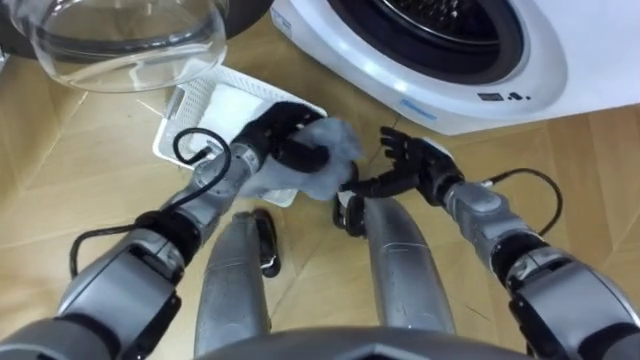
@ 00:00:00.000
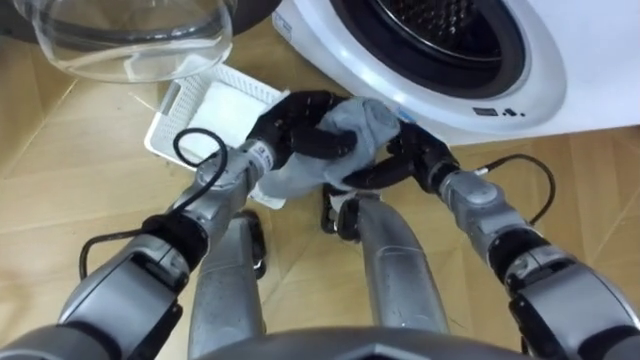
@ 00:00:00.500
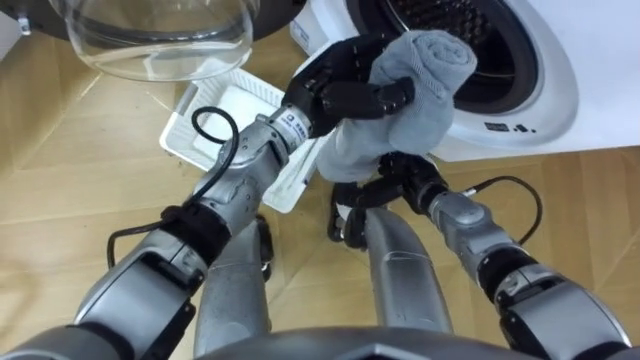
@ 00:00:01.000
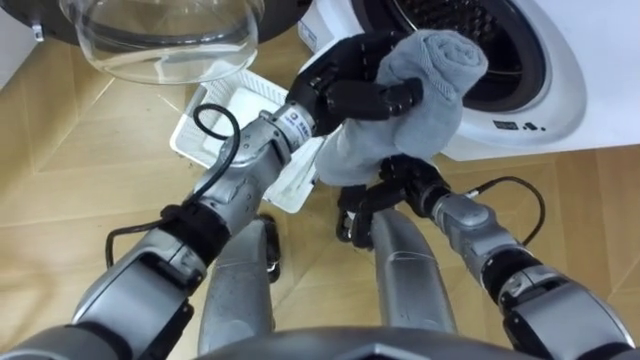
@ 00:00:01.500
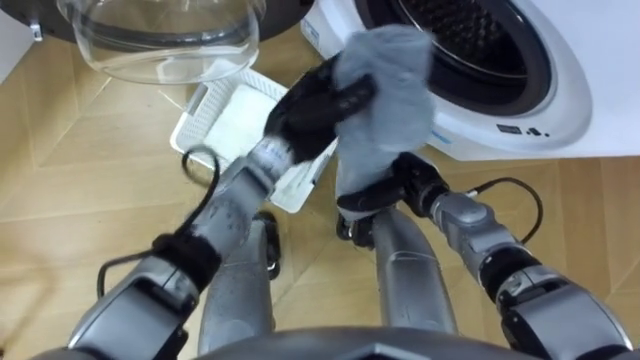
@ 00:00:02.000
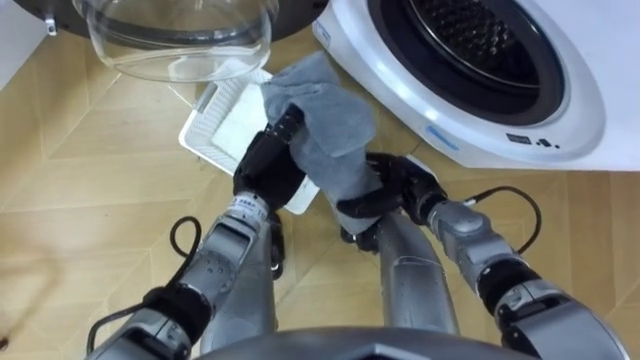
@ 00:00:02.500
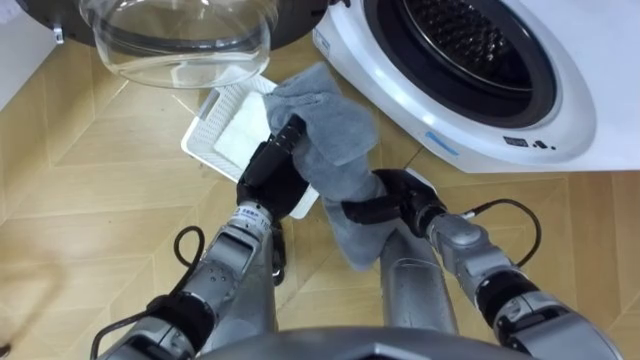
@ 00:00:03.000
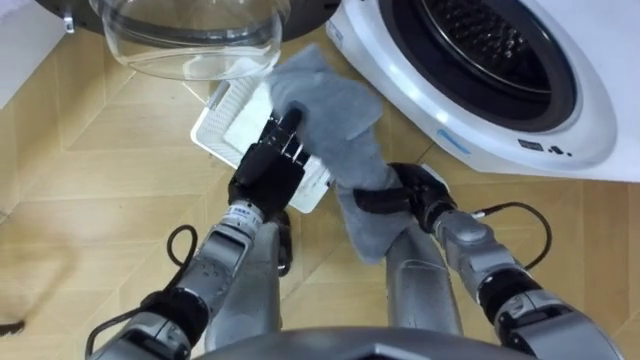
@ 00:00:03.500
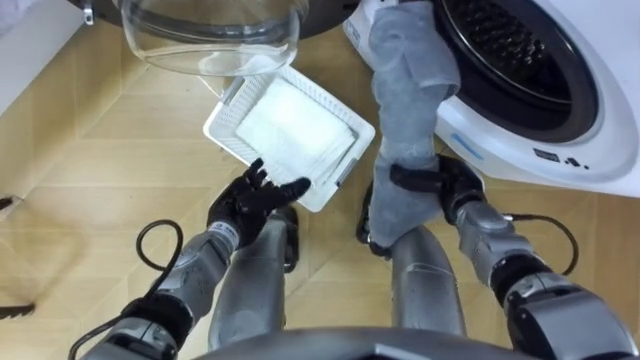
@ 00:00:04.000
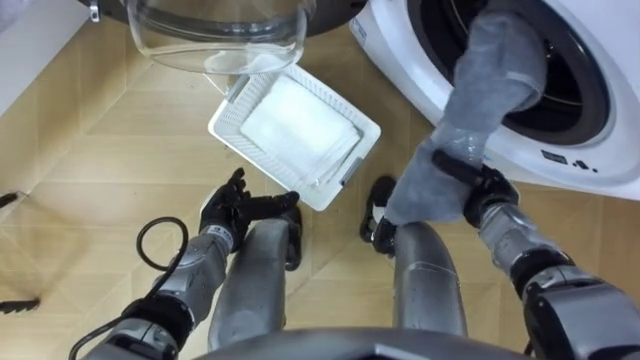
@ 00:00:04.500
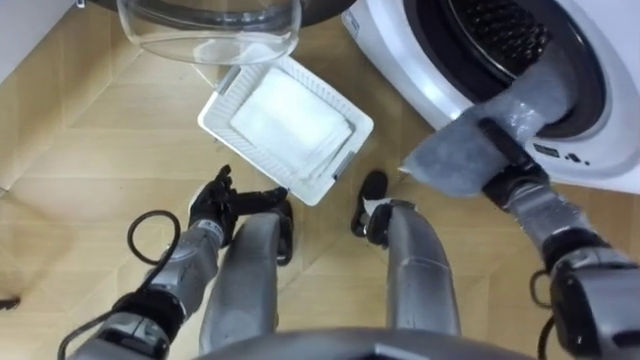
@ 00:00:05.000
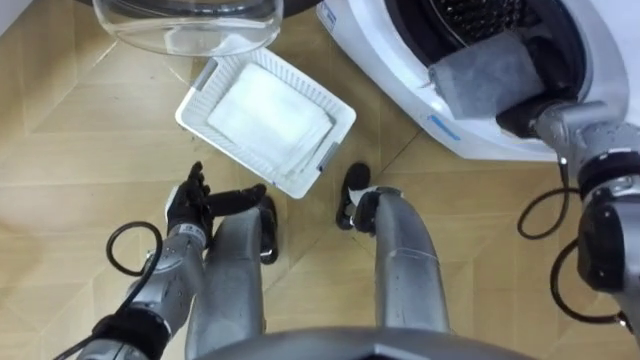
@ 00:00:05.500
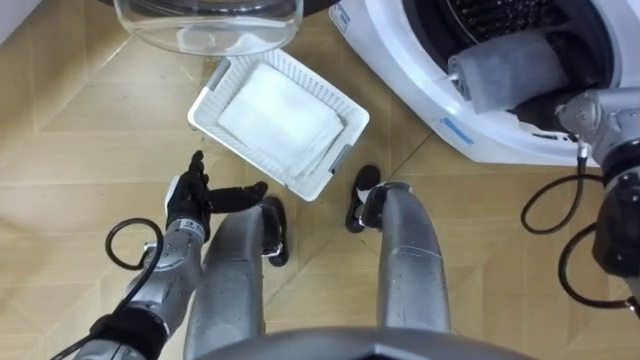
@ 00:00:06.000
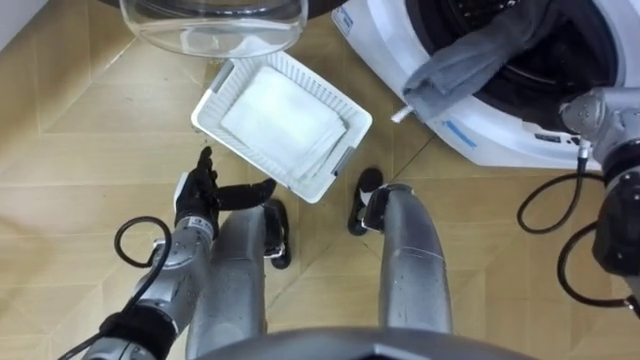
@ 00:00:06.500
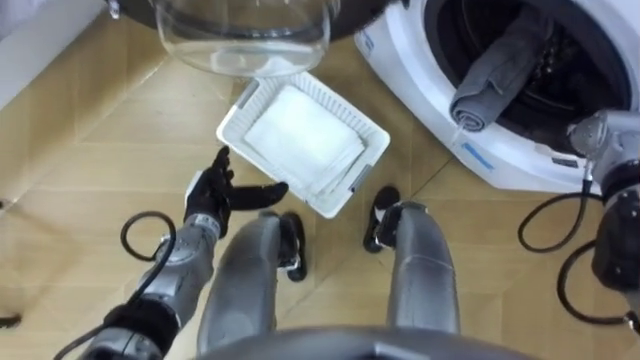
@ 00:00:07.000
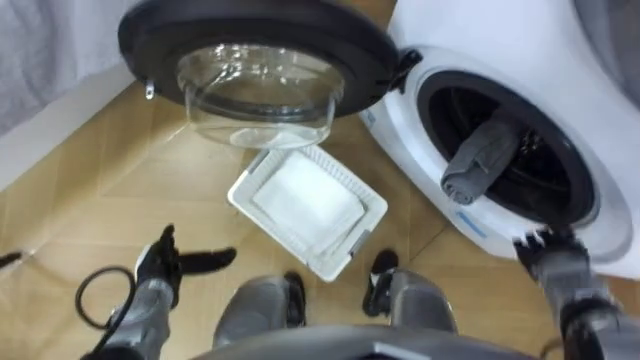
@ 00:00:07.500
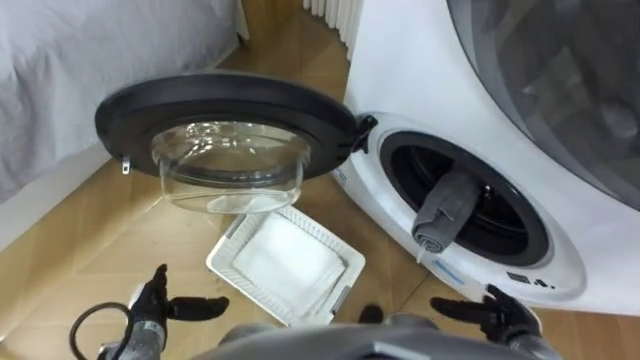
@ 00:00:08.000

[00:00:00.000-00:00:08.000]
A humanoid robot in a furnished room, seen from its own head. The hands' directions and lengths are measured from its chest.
Task of the whole recording: Take the towel from the basket and put it into the washing machine.
00:00:00.000 to 00:00:02.000: The left hand goes some 10 cm upward and to the right.
00:00:02.000 to 00:00:04.000: The left hand heads downward, to the left and backward, covering approximately 20 cm, and opens up; the right hand moves to the right, approximately 5 cm, and closes.
00:00:04.000 to 00:00:06.000: The right hand heads to the right, upward and forward, covering roughly 20 cm. Meanwhile the left hand moves to the left, approximately 5 cm.
00:00:06.000 to 00:00:08.000: The left hand heads backward, downward and to the left, covering about 20 cm, while the right hand heads backward and downward, covering roughly 35 cm, and opens up.

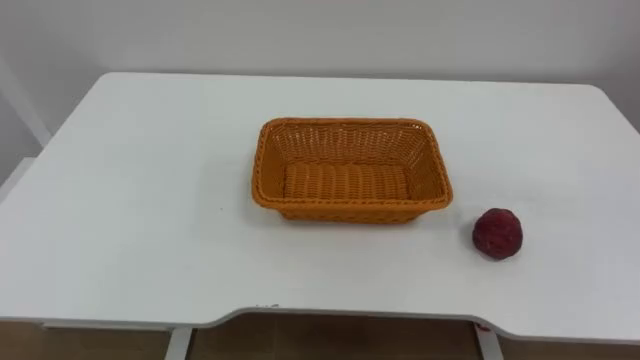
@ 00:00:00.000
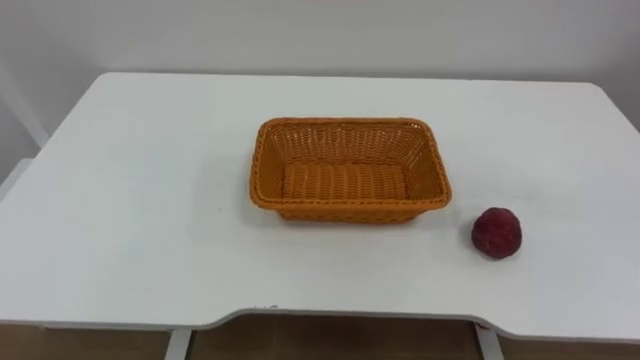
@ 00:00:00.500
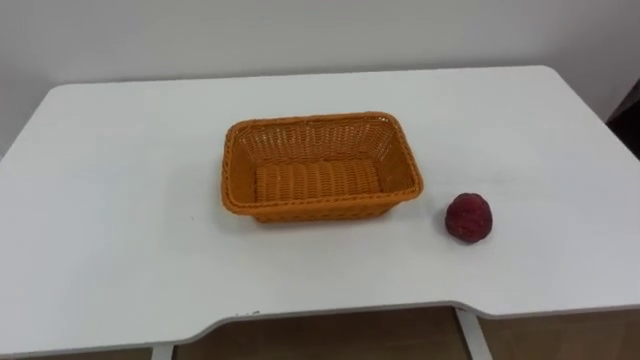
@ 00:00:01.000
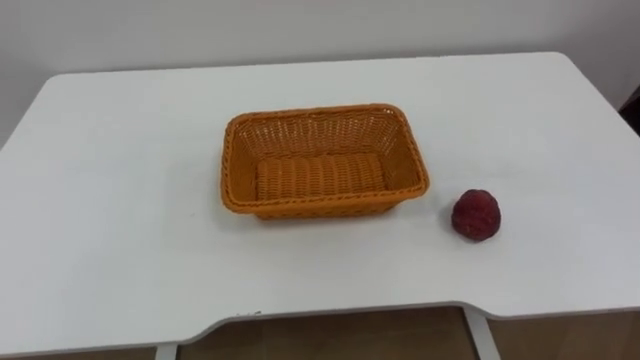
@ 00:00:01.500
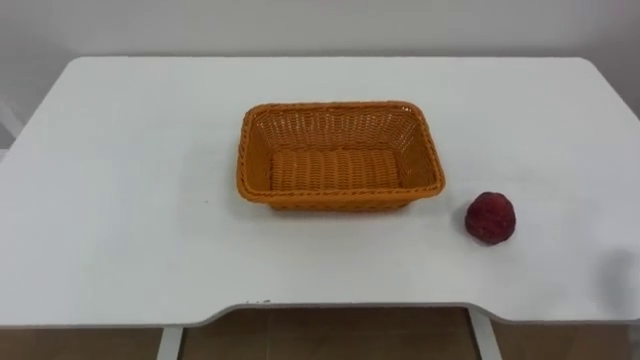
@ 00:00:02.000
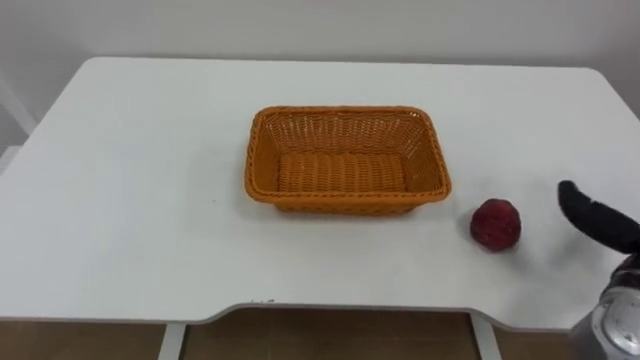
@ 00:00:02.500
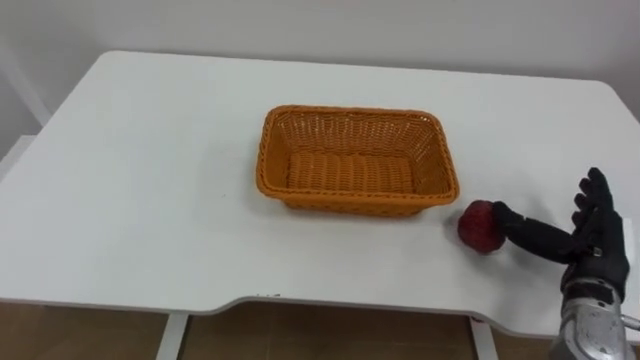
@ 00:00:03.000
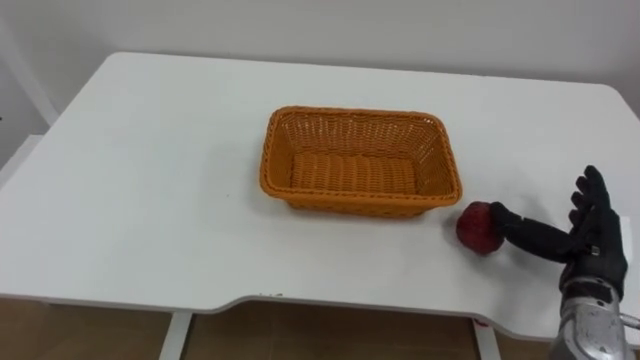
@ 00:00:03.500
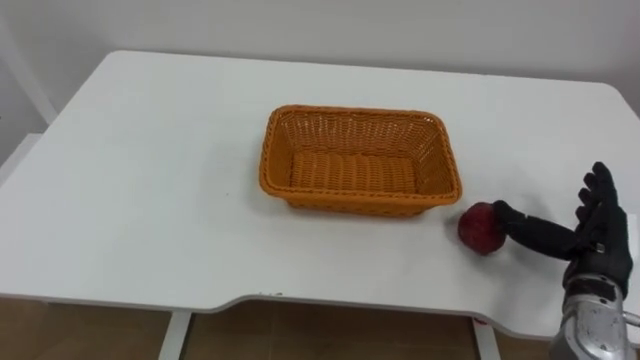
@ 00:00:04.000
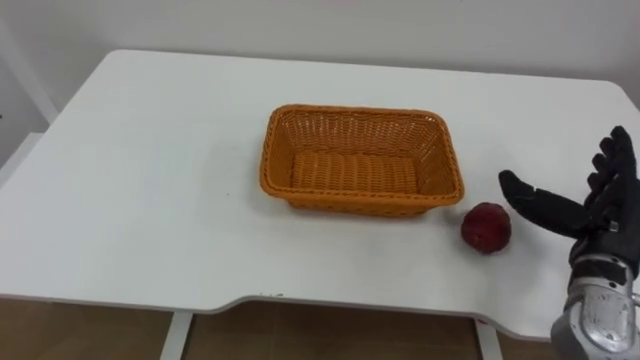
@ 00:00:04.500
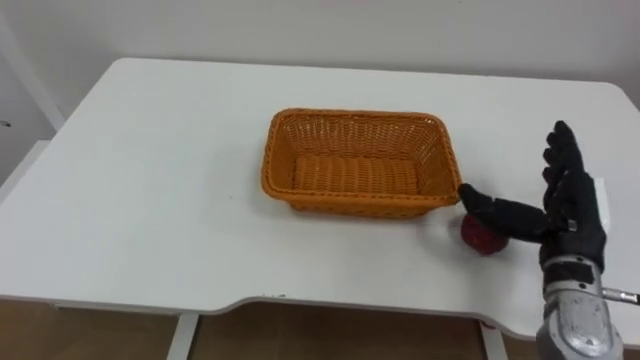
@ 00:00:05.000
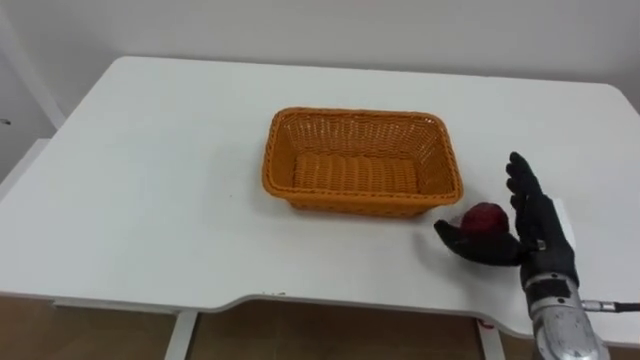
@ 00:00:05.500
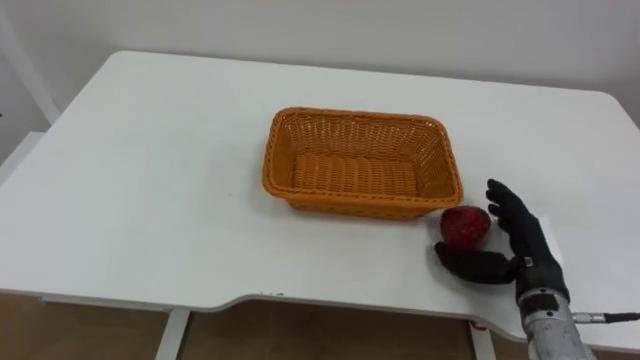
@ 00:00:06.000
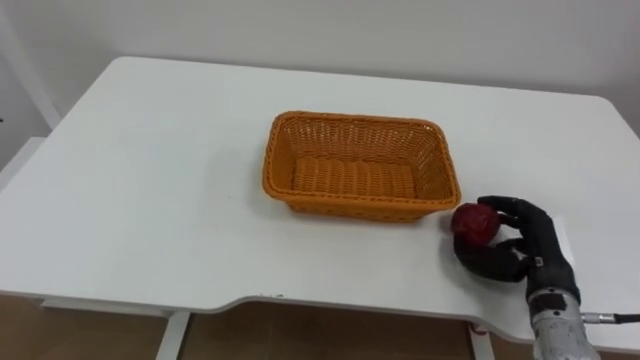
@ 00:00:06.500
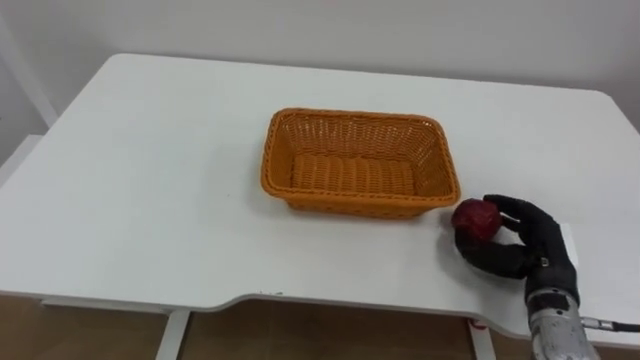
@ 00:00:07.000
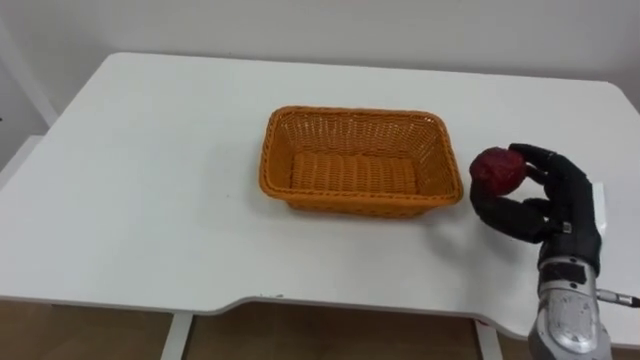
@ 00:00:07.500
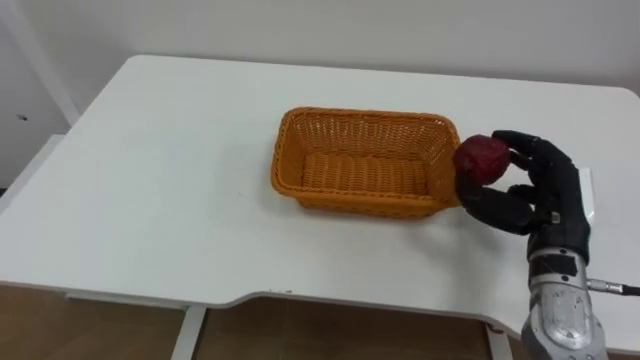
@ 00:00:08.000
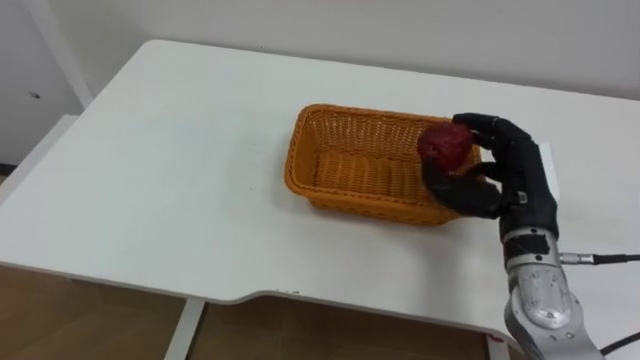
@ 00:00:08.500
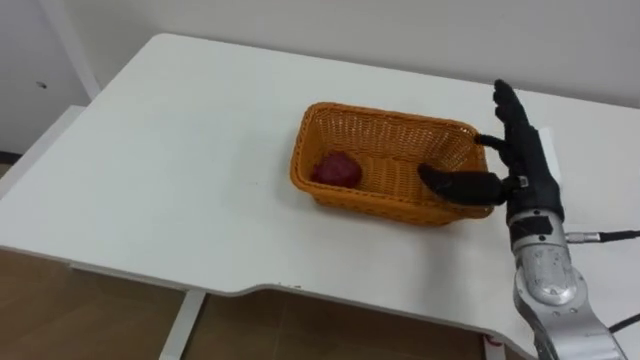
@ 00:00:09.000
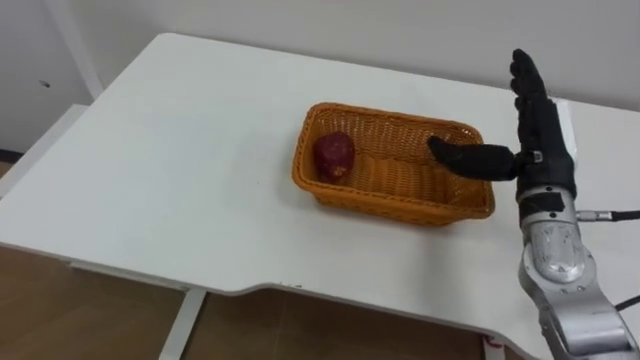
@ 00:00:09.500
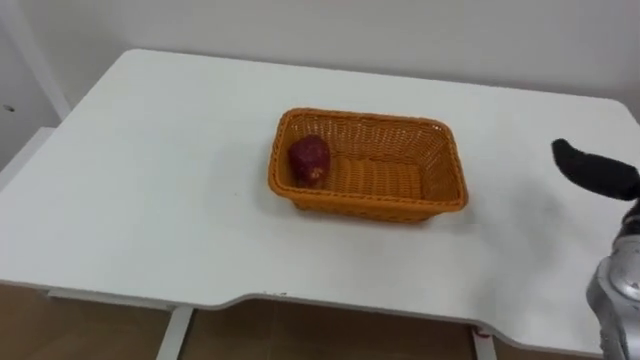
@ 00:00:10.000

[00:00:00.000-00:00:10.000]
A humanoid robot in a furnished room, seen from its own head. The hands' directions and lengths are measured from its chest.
Task of the whole recording: Pick the apple and place it in the box.
00:00:04.000 to 00:00:06.000: The right hand is displaced to the left by roughly 5 cm.
00:00:06.000 to 00:00:08.000: The right hand shifts some 10 cm upward, and closes up.
